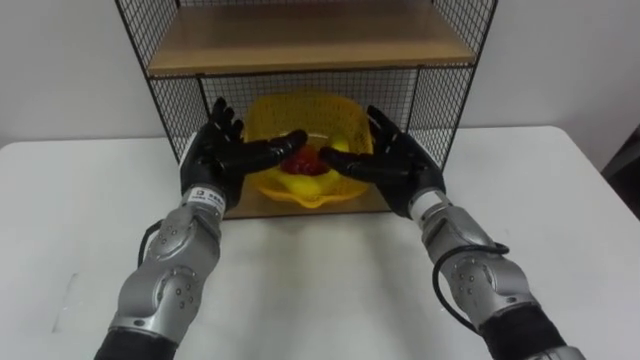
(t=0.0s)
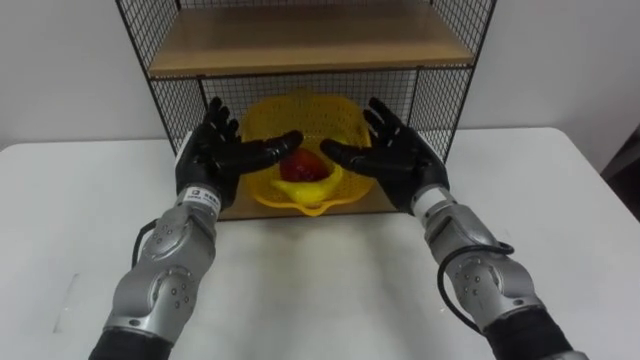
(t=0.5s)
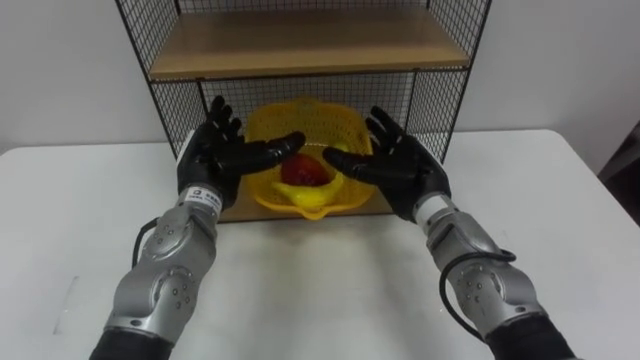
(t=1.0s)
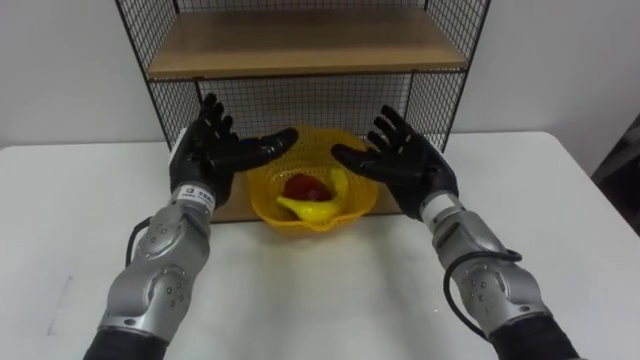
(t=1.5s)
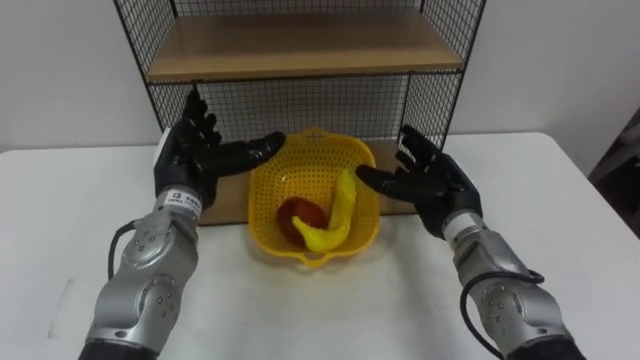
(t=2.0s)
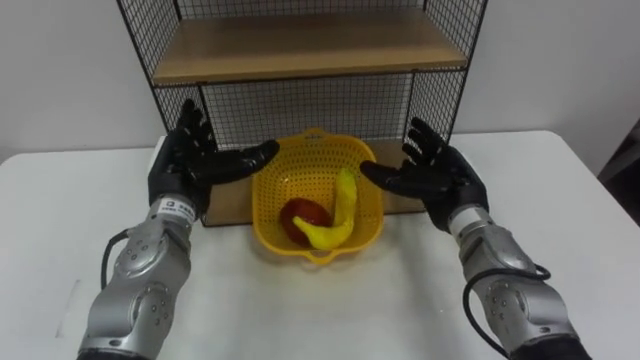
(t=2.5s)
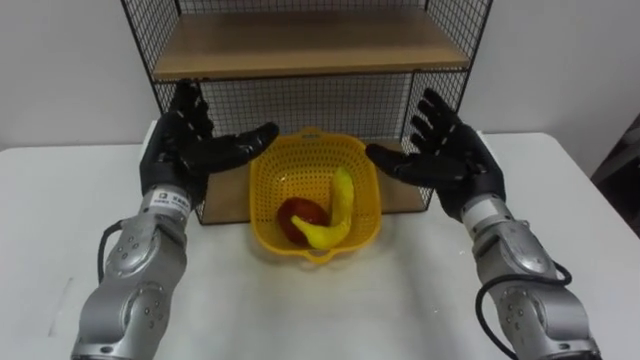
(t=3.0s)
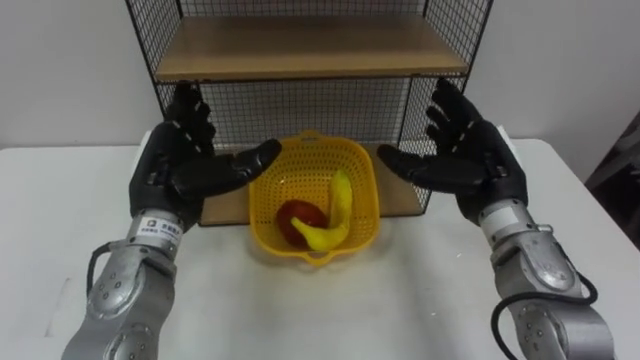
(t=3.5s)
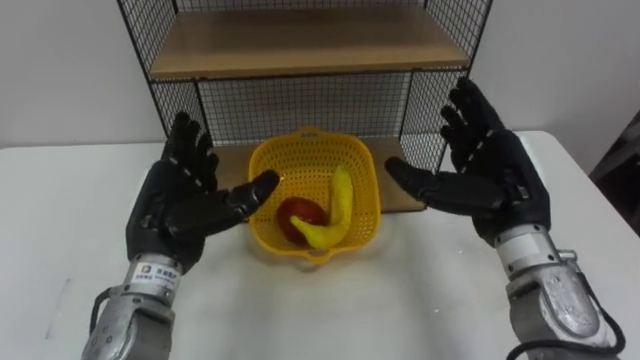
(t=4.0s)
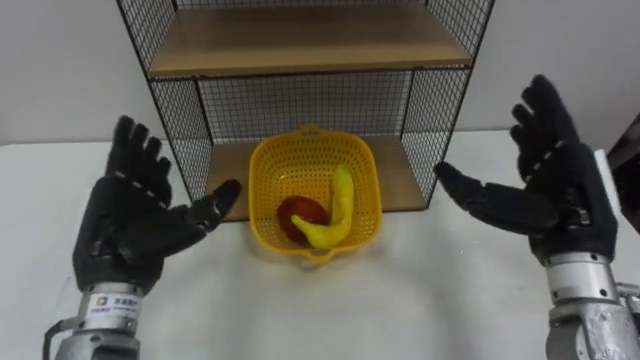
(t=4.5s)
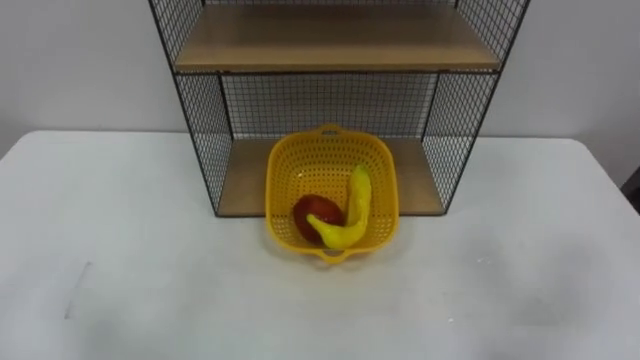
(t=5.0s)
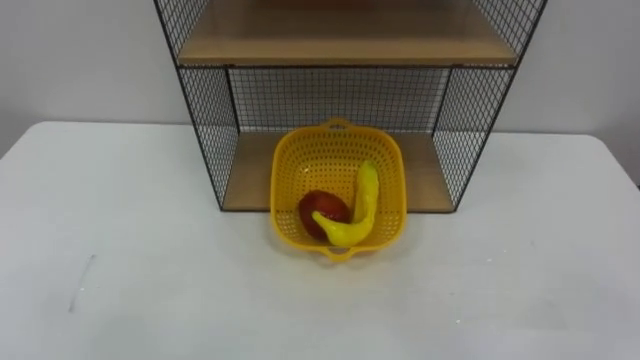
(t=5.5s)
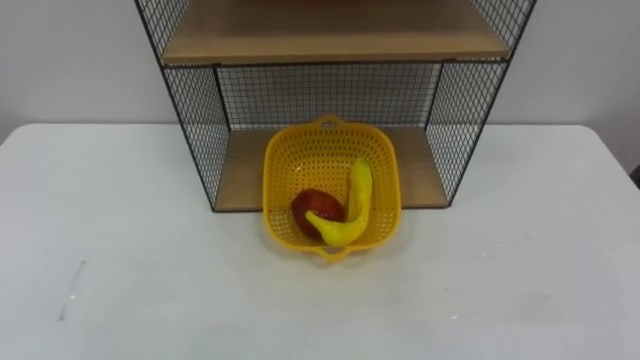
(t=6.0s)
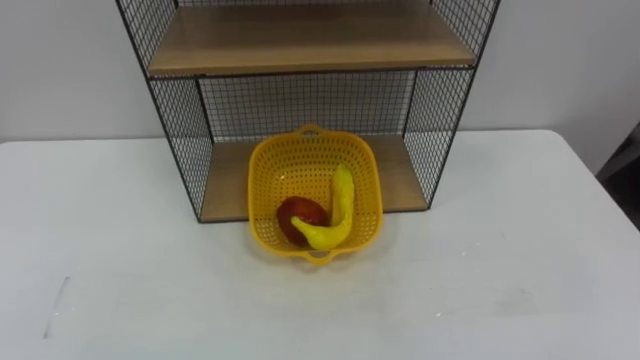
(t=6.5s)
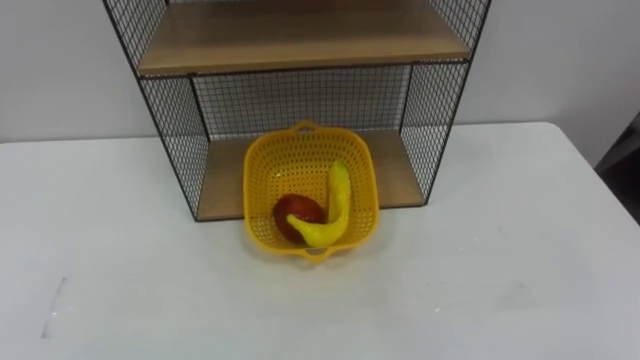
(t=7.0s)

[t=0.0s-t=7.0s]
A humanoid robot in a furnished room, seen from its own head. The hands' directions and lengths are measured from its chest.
Task of the whole recording: Put the fruit on the table into the basket, then place the basket on the shelf.
t=0.0s to t=2.0s: The right hand heads to the right, covering some 5 cm.
t=2.0s to t=3.5s: The left hand changes place by some 5 cm, while the right hand goes about 5 cm upward.

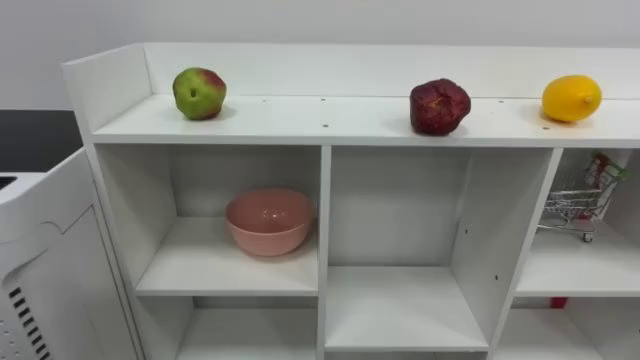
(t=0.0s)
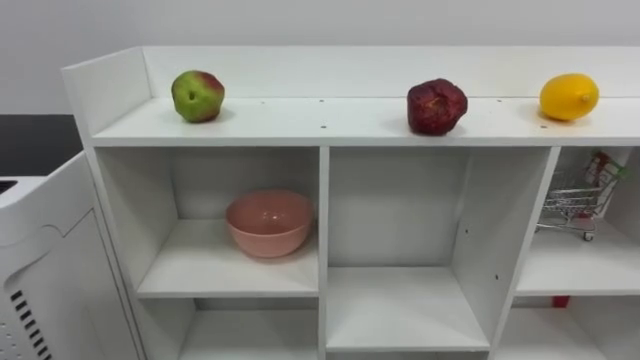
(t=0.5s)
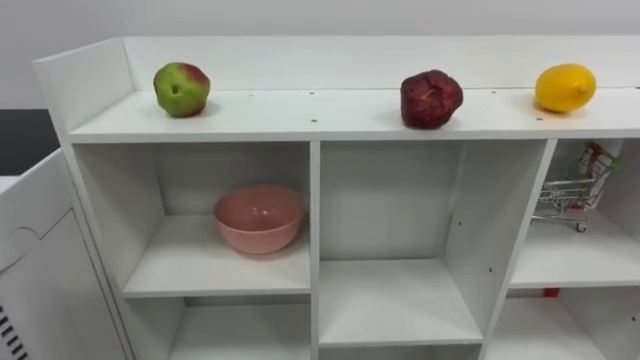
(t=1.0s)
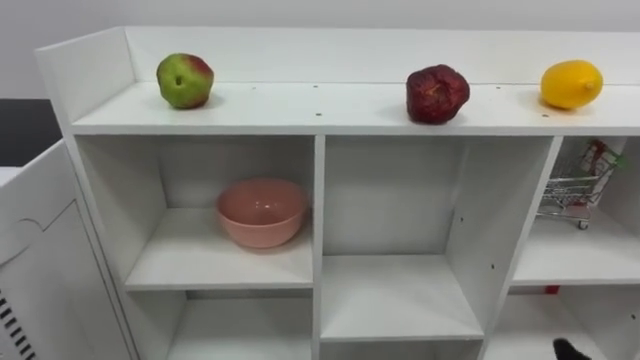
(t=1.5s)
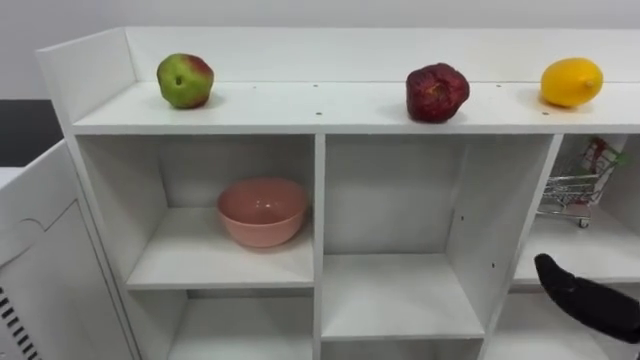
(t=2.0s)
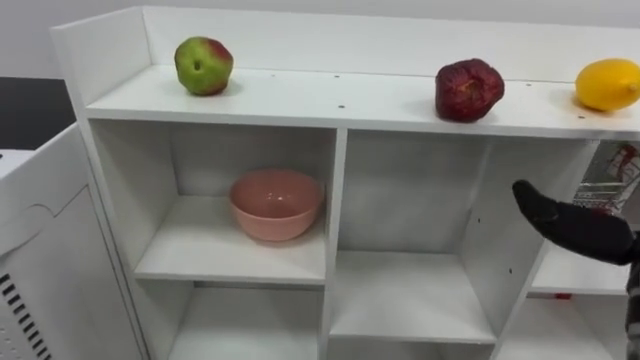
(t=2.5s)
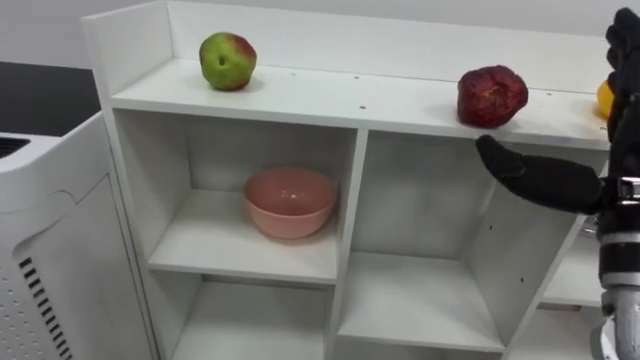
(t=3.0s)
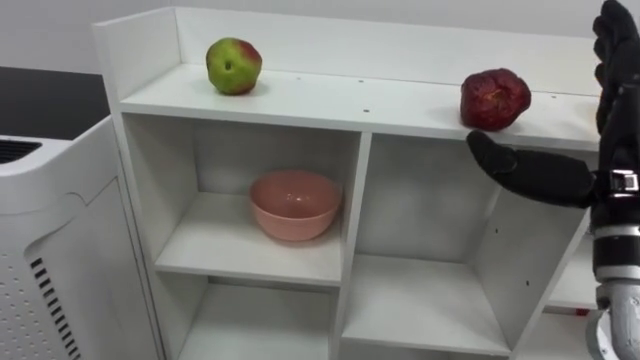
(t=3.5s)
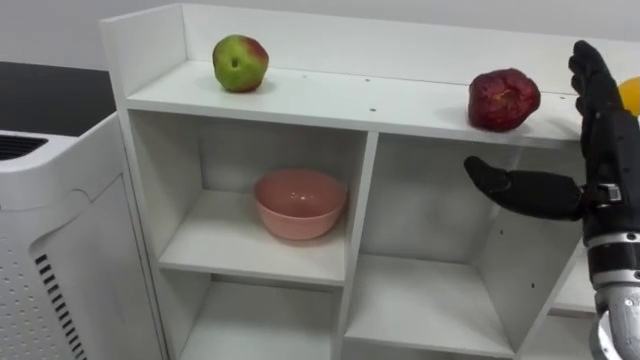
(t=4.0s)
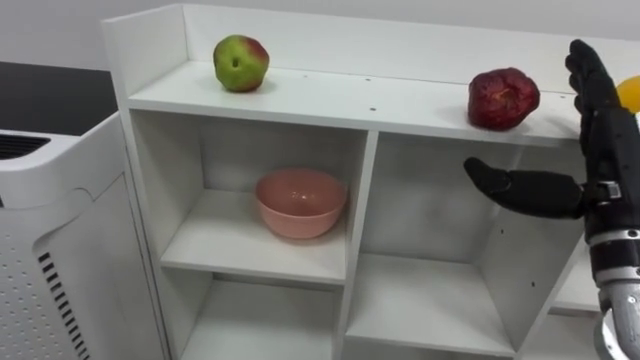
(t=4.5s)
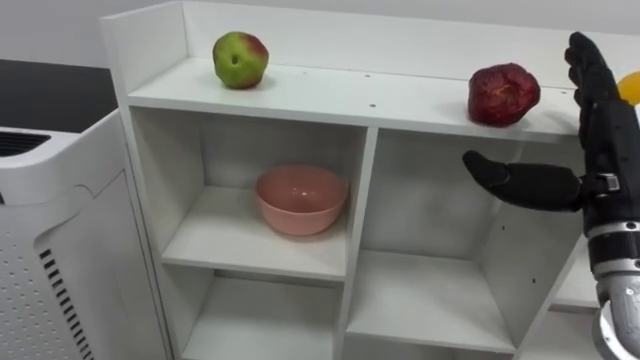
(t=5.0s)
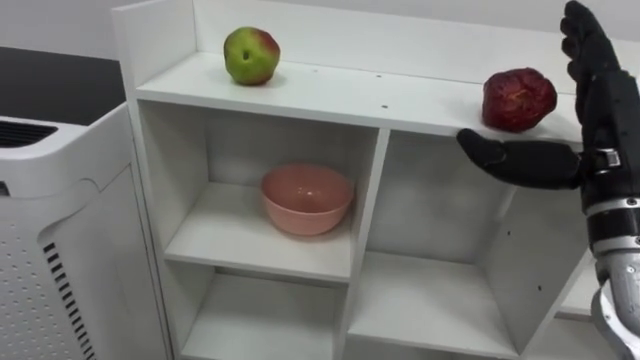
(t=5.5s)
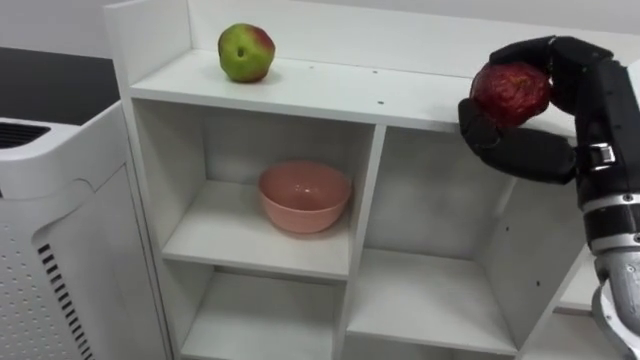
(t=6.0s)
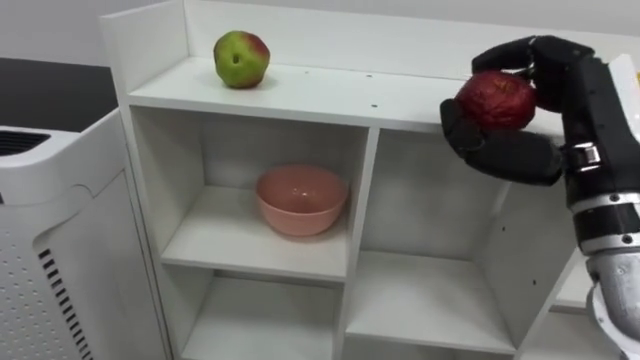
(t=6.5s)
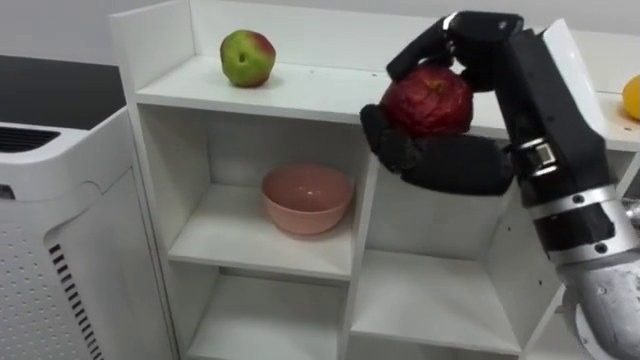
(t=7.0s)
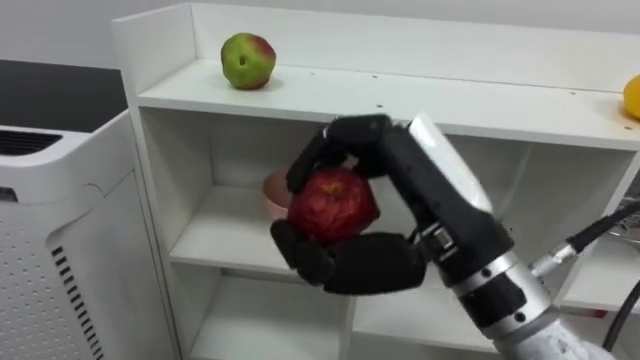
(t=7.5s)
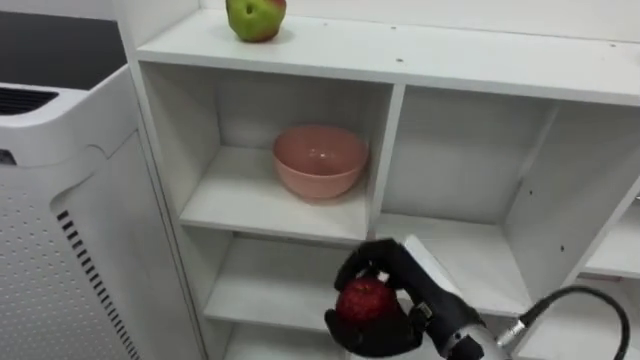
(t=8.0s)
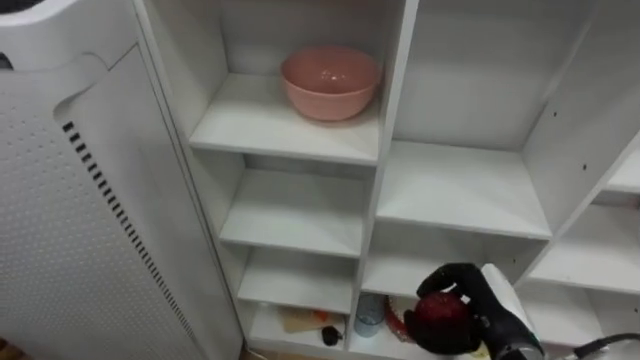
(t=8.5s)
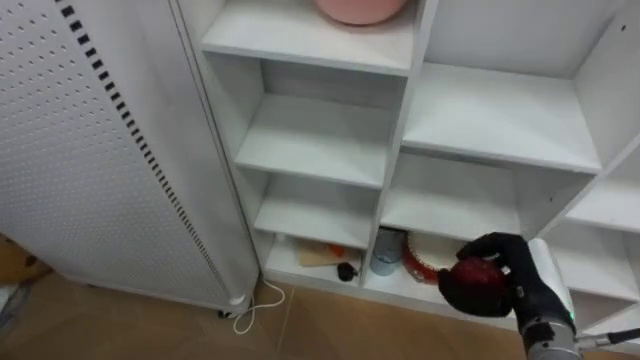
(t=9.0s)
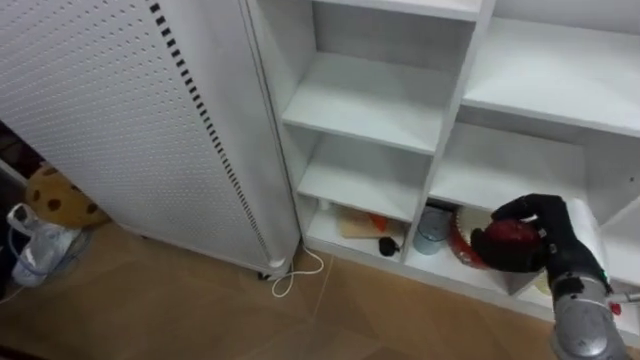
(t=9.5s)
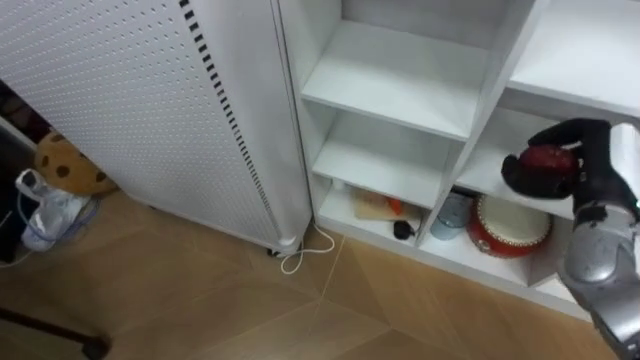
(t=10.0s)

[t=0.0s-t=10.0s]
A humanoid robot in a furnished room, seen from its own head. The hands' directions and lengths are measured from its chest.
Task of the whole recording: Put the apple in the cell in the second column from the left and the second row from the top.
t=4.0s to t=6.0s: The right hand closes its fingers.
t=6.0s to t=8.0s: The right hand shifts roughly 20 cm downward and to the left.
t=8.0s to t=10.0s: The right hand is displaced to the right, forward and upward by some 25 cm.

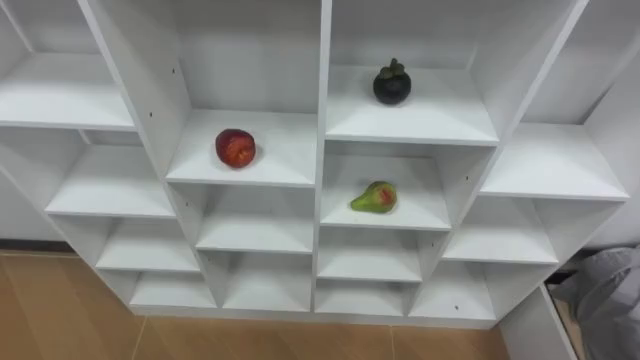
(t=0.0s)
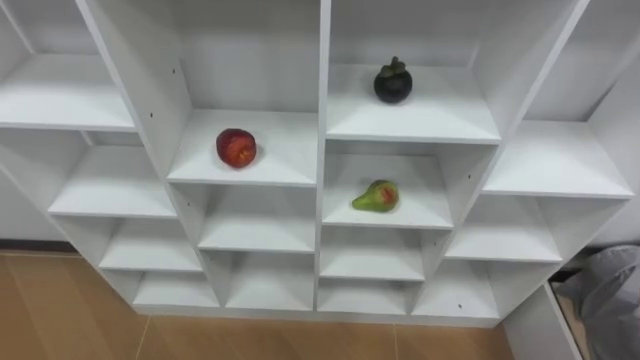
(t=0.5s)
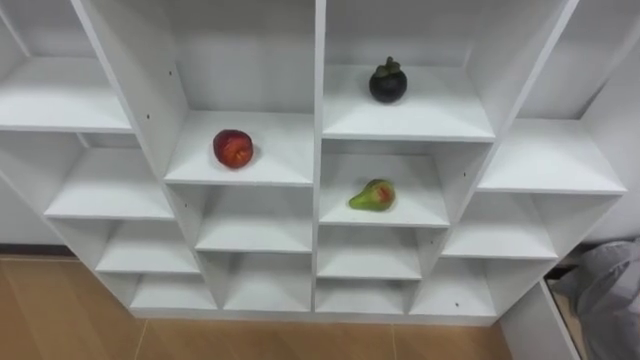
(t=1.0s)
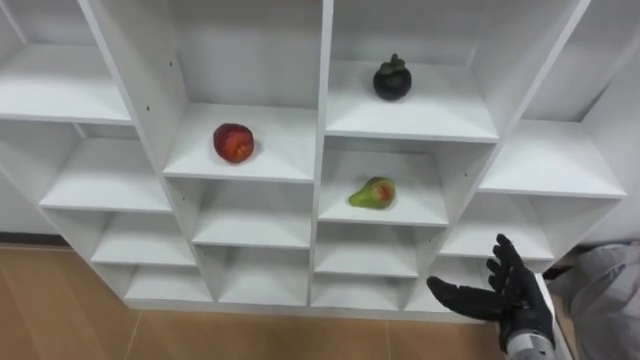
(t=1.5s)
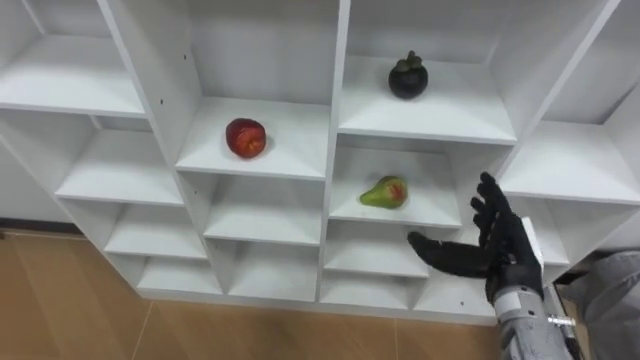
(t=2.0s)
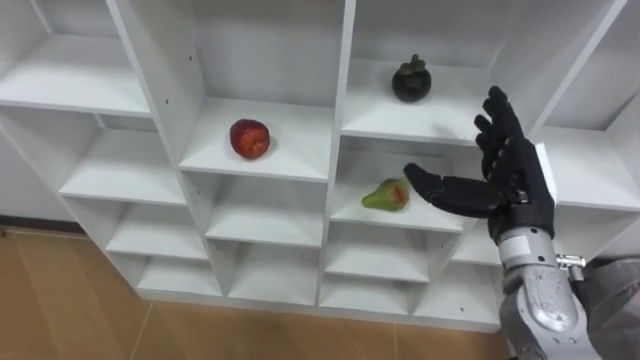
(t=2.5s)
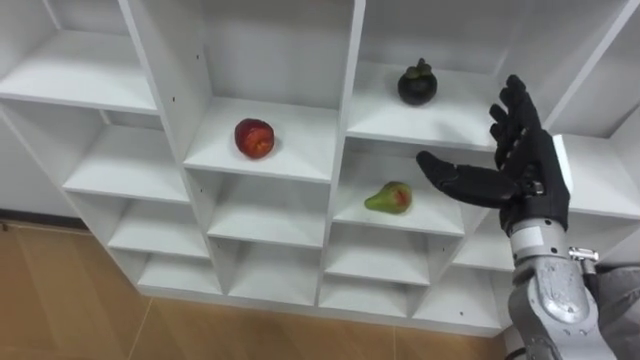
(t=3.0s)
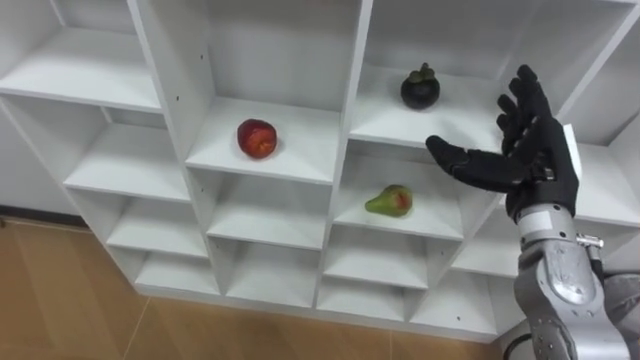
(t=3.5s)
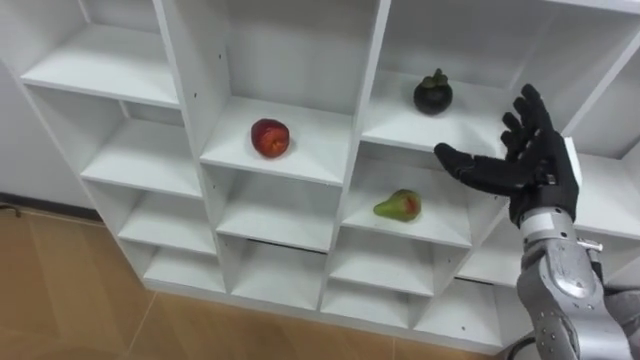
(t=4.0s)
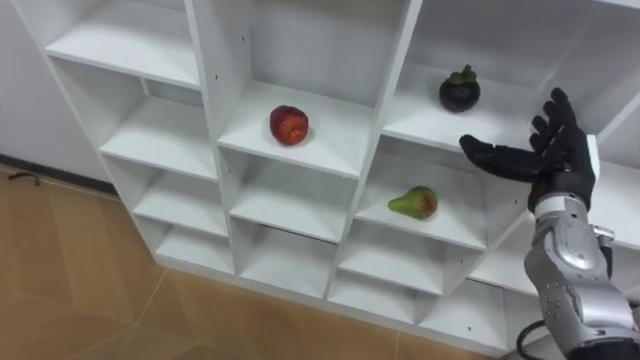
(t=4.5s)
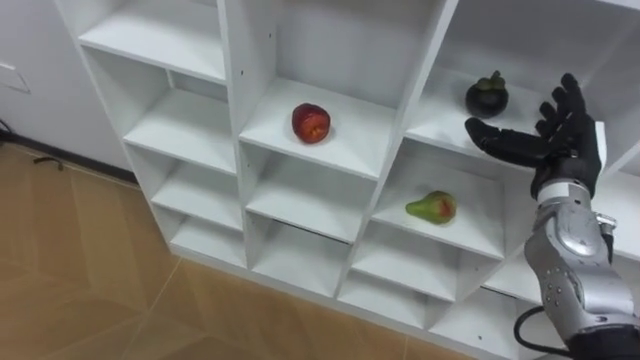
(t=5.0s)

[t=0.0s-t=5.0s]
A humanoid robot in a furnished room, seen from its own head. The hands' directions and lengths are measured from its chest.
Task of the whole recording: Hold the basket and collect the fruits from 3 different cells of the closet into it.
t=2.5s to t=5.0s: The right hand goes about 10 cm to the right and forward.
